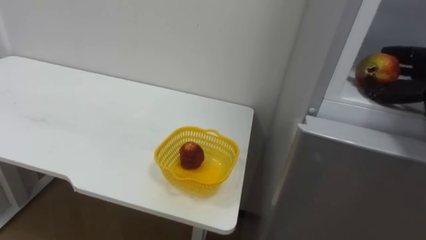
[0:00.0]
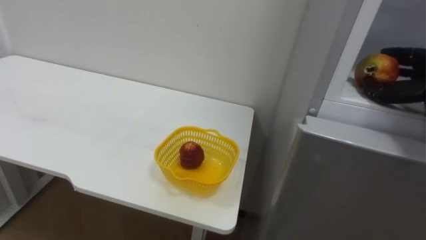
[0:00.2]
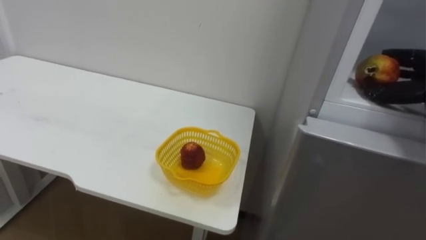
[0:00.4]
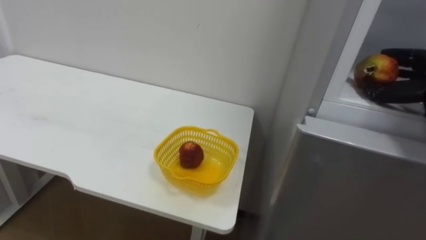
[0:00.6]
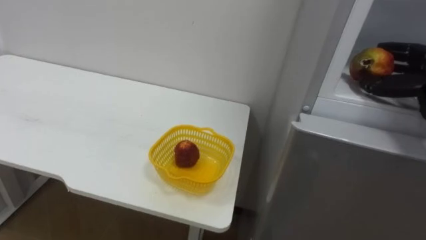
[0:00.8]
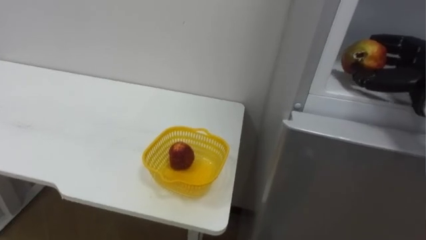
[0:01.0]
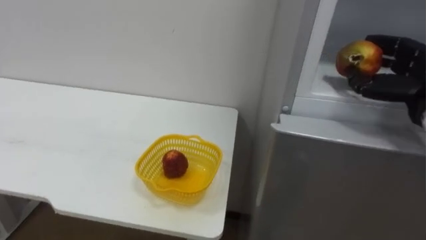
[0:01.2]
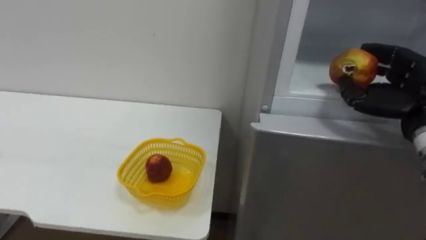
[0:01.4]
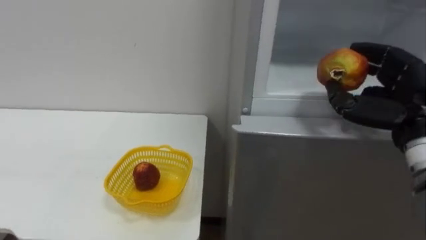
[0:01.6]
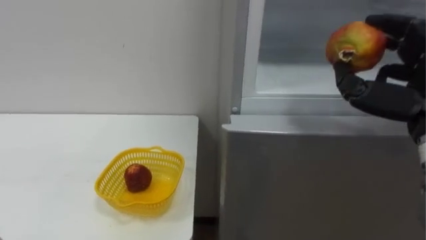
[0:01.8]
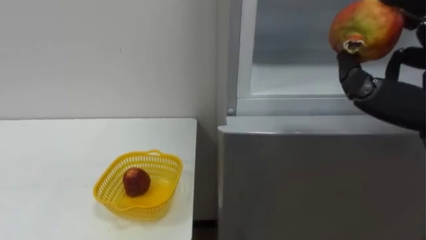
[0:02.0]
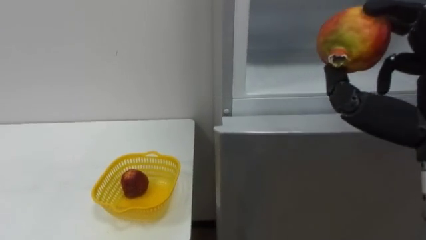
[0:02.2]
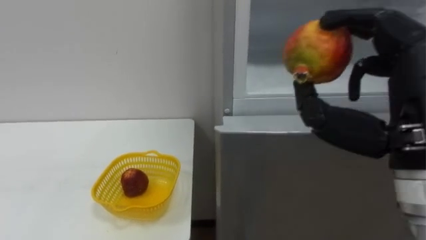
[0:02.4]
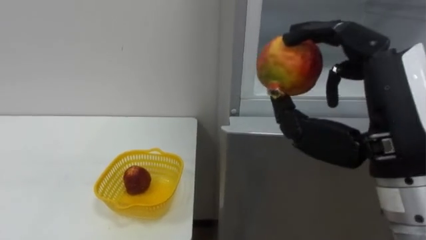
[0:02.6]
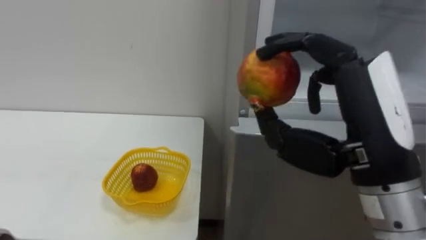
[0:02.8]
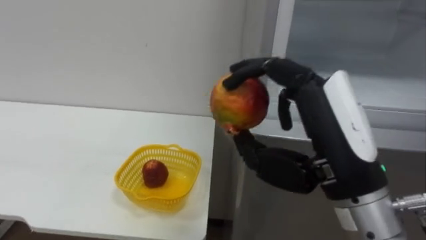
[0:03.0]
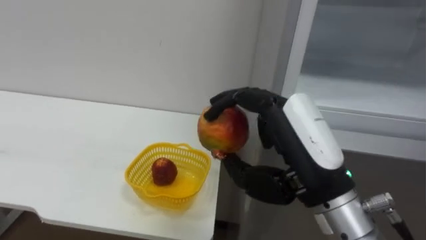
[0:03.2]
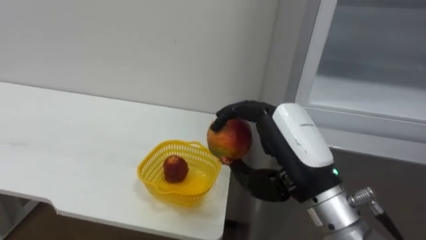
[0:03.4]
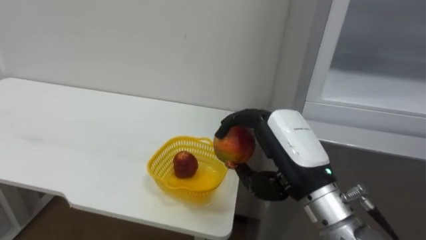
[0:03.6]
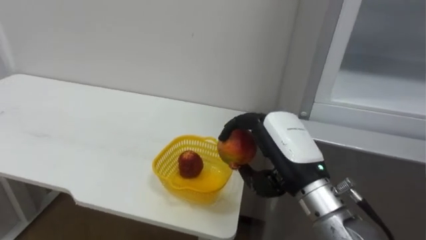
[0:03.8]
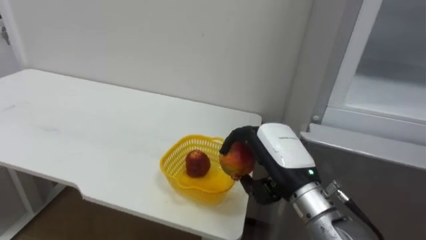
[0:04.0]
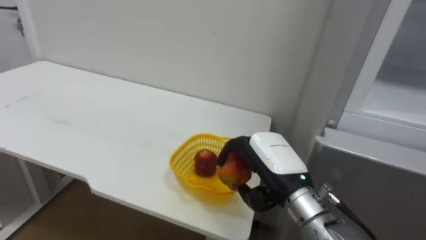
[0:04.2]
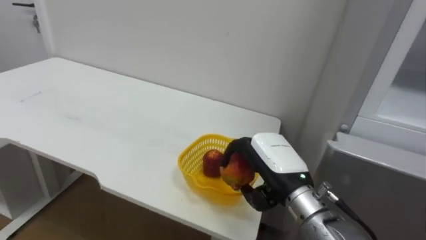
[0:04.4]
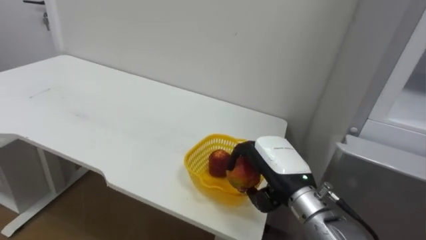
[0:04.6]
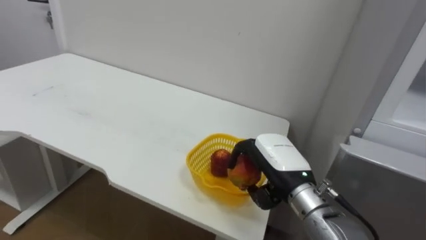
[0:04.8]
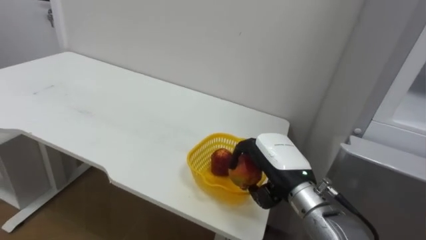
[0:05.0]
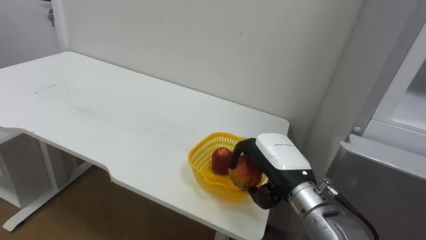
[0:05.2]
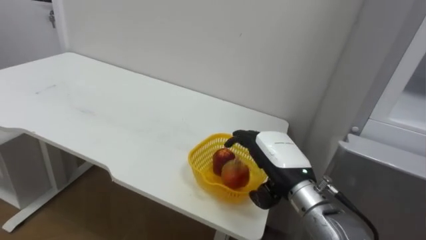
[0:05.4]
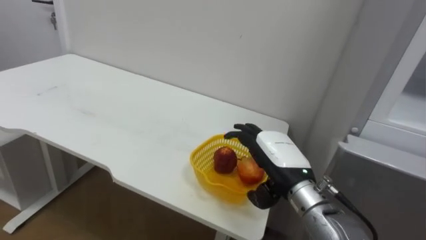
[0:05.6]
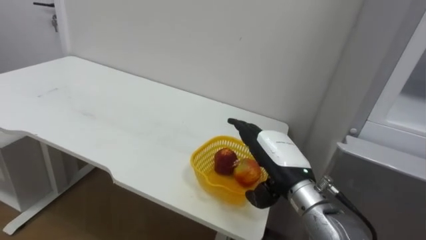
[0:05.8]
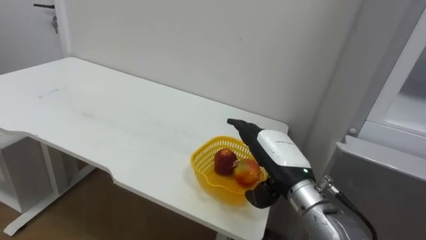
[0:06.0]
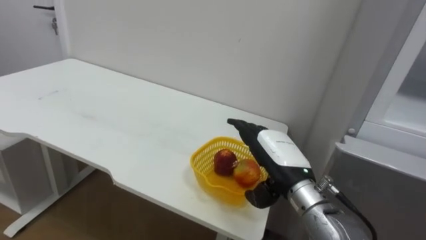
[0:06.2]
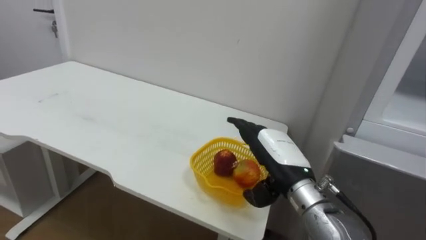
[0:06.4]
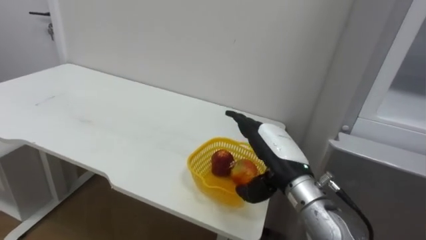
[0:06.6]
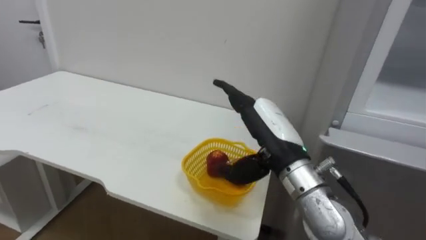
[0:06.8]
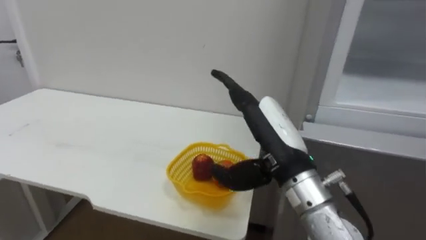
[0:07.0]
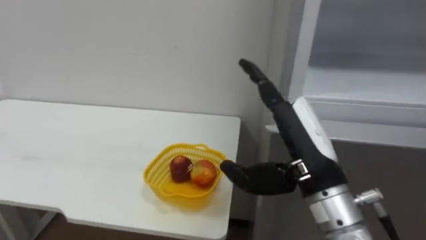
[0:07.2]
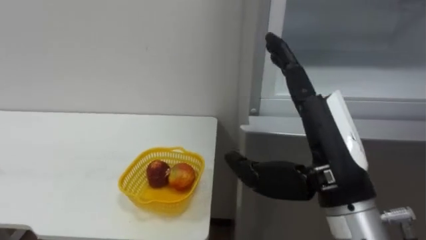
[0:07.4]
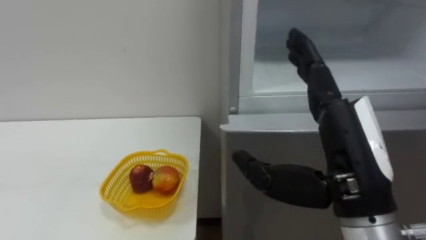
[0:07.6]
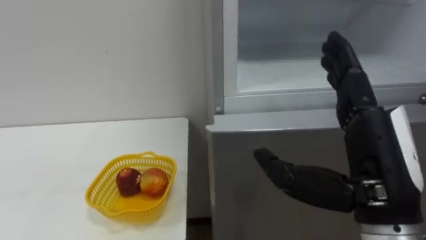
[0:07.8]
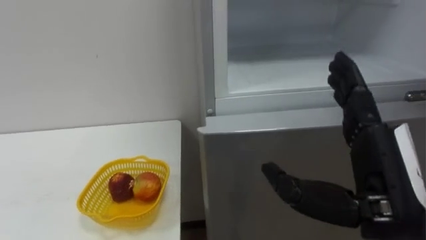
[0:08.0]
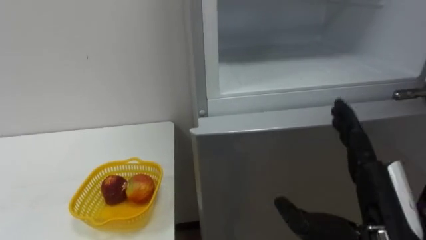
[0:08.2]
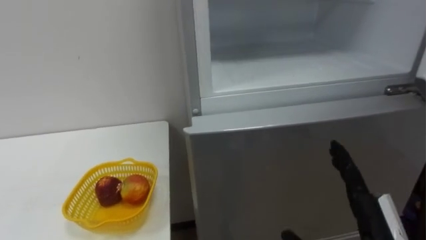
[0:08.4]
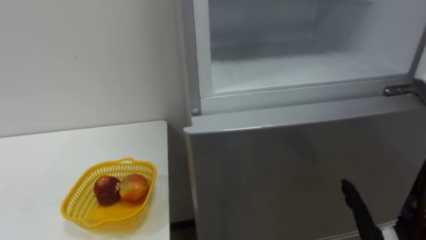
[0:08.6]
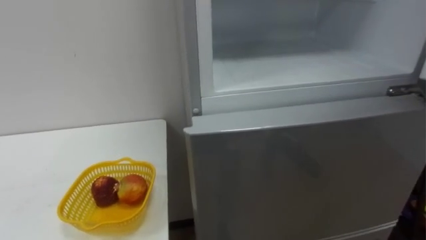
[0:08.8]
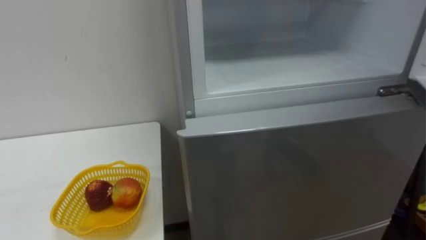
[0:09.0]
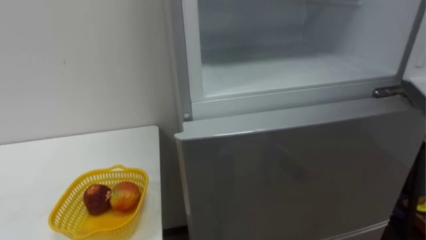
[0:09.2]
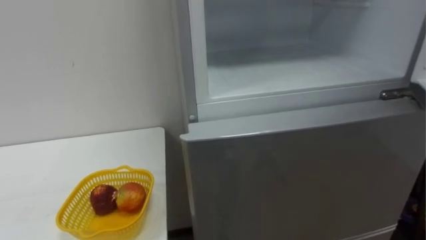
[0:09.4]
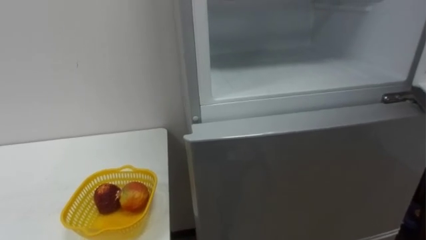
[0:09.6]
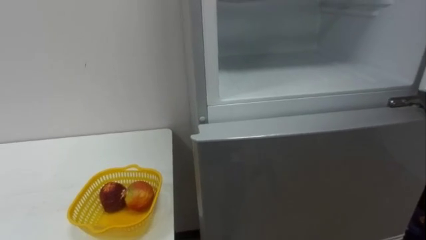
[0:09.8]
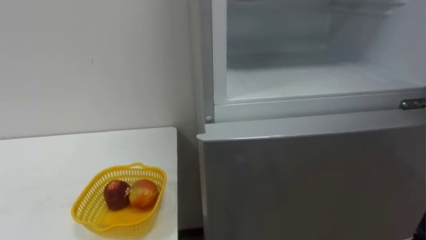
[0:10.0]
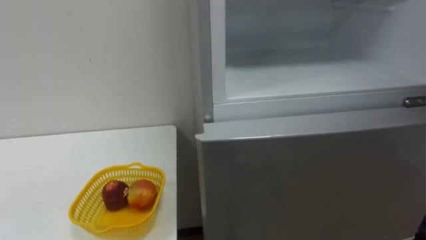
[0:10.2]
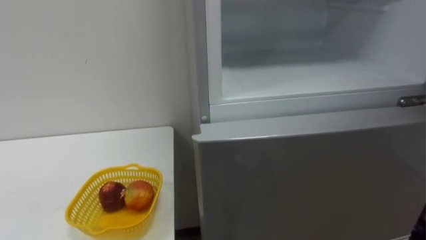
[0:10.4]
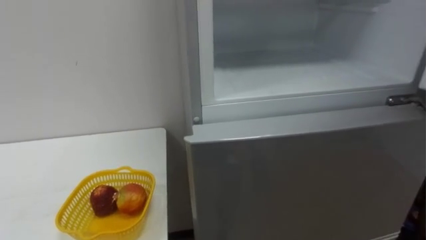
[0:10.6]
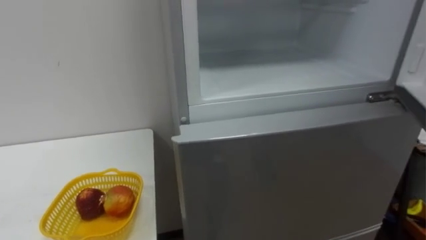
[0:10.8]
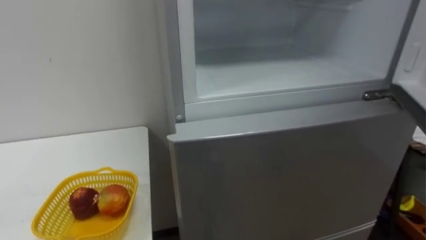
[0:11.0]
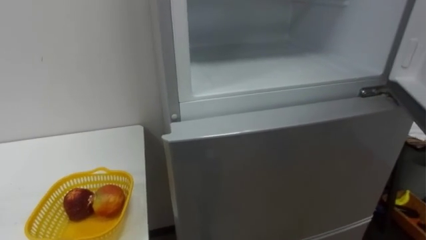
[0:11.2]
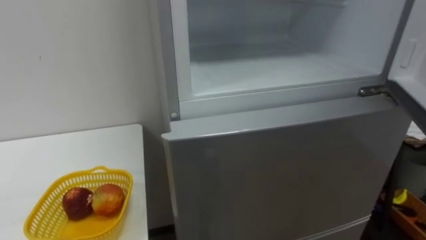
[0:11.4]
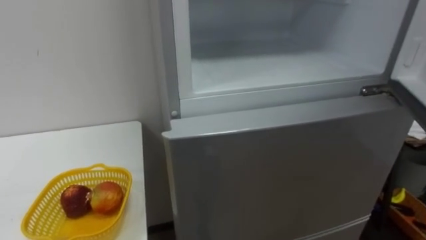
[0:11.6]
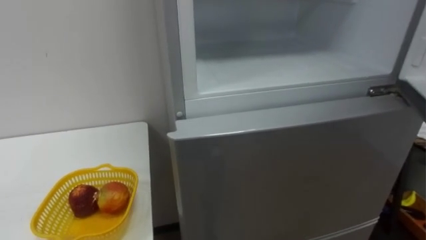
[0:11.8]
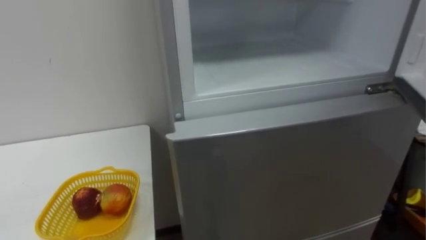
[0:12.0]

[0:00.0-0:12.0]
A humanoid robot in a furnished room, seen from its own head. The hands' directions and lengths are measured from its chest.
Task of the whole recording: Open the refrigerator door, take out the apple and the pomegranate, place them in the fruit basket on the left, and close the refrigerator door.
0:03.0 to 0:04.4: The right hand travels downward and forward by roughly 15 cm.
0:04.4 to 0:06.0: The right hand opens.
0:06.0 to 0:07.6: The right hand is displaced backward and upward by approximately 15 cm.

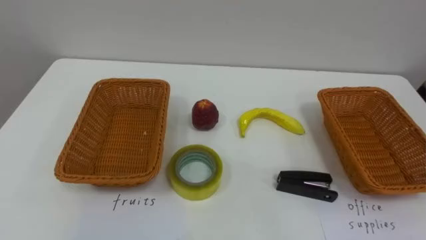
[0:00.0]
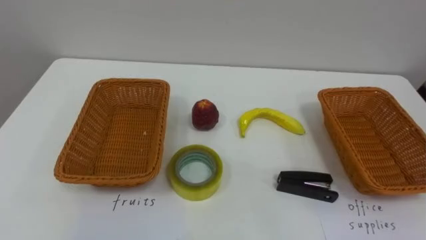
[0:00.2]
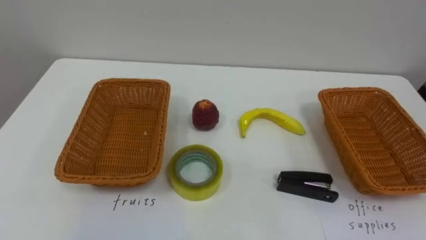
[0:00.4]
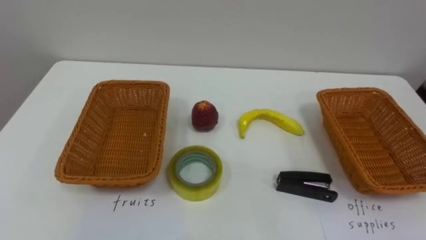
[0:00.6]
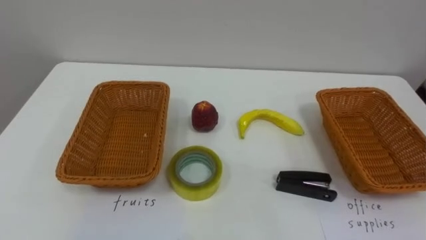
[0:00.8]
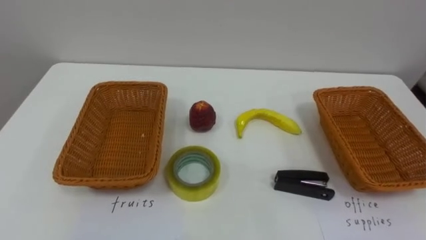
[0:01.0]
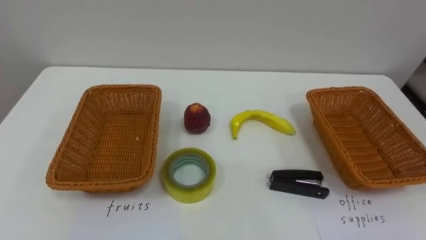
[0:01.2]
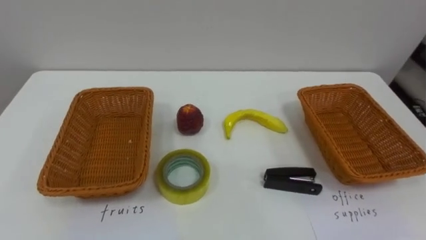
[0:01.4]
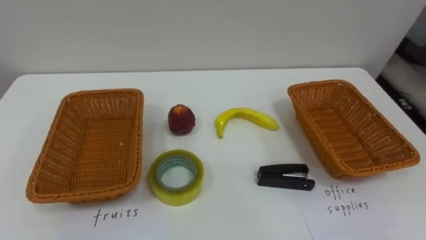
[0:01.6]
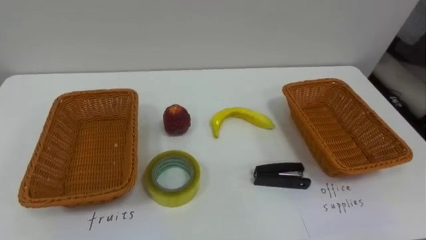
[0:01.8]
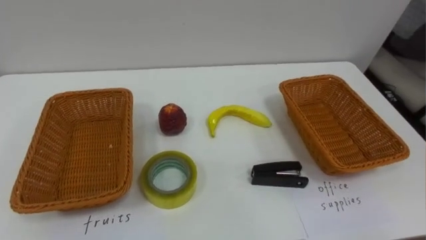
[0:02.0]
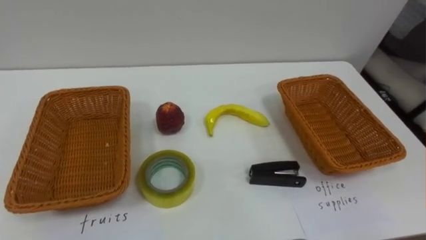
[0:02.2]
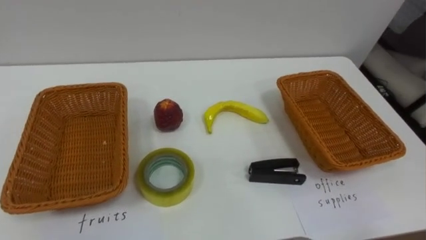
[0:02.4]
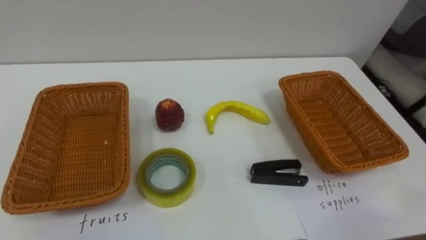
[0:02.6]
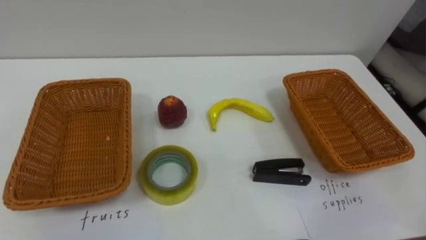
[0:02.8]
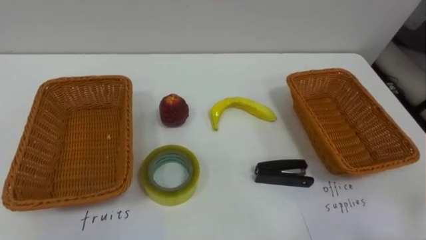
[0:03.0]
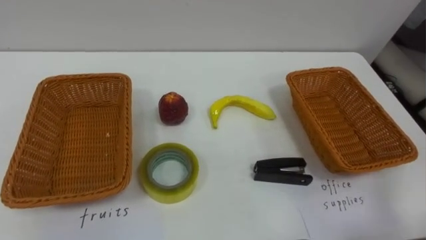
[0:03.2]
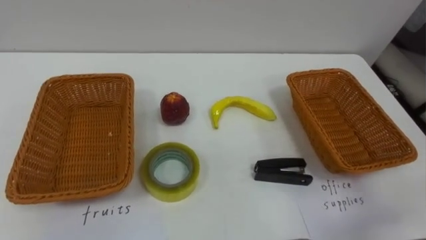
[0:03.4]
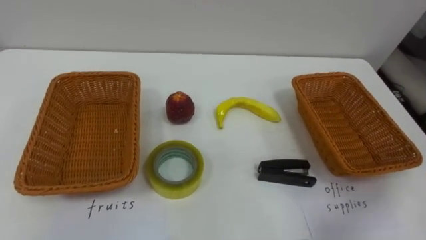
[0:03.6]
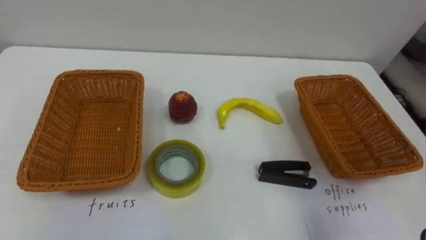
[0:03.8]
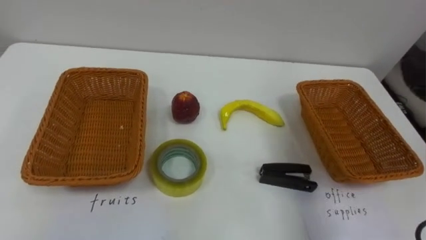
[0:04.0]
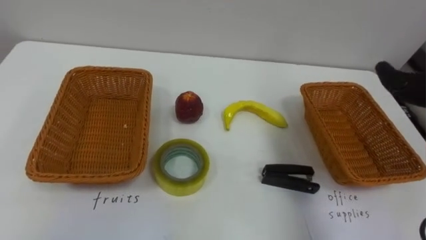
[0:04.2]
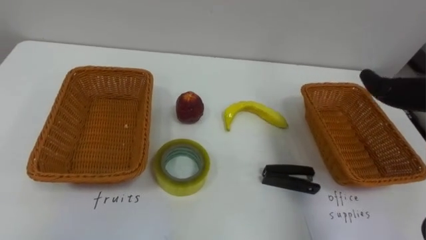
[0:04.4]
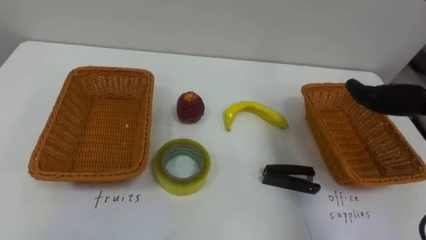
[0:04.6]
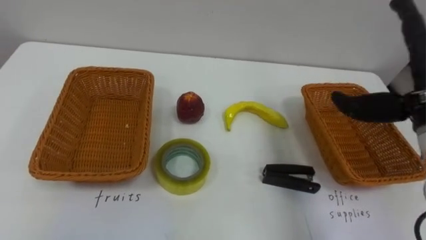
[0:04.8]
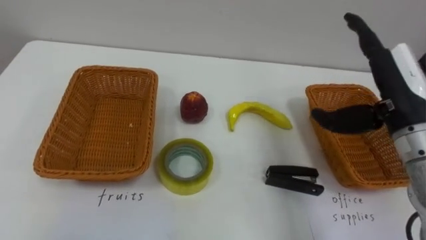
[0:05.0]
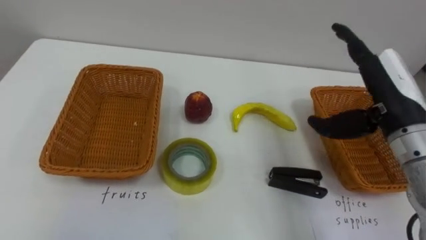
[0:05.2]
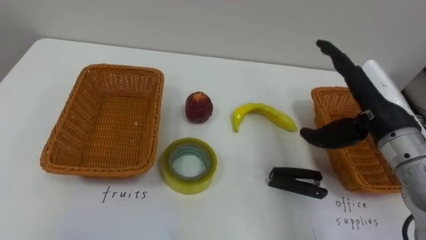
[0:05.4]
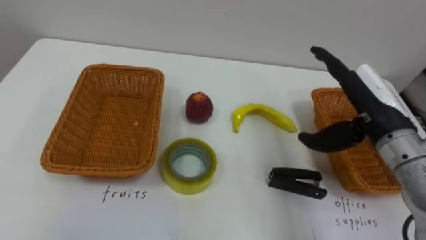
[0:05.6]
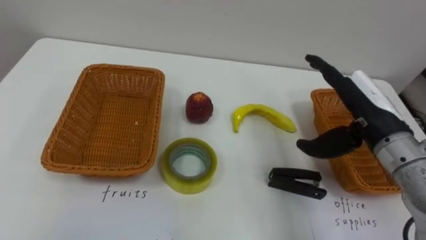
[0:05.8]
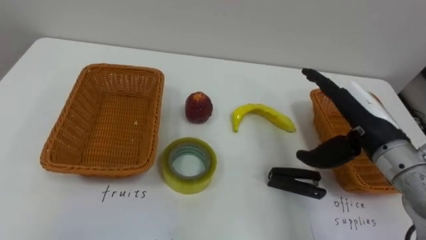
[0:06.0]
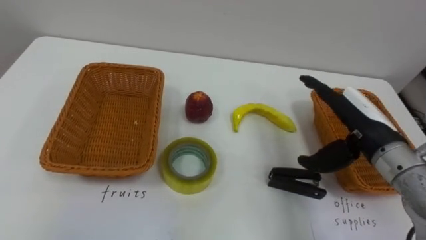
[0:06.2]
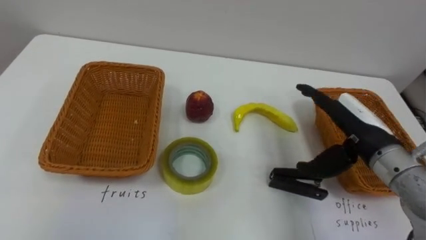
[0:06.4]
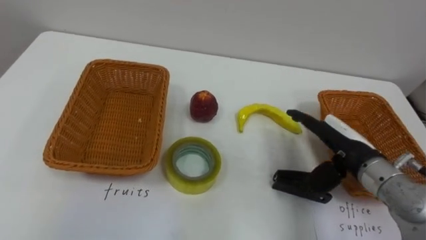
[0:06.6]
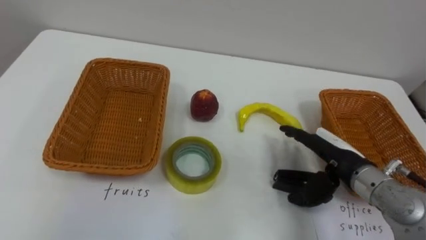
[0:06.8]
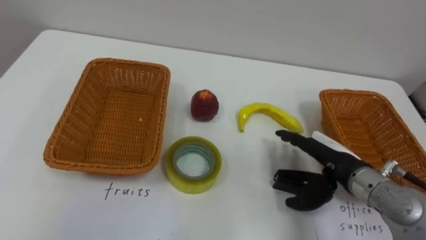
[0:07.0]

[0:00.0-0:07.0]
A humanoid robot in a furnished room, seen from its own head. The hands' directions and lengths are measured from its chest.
Task of the whole recording: Separate the items on the table and place them into the two baskets.
0:05.6 to 0:07.0: The right hand moves downward, some 10 cm.
